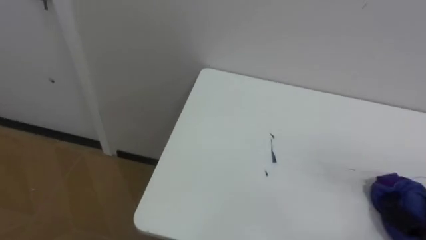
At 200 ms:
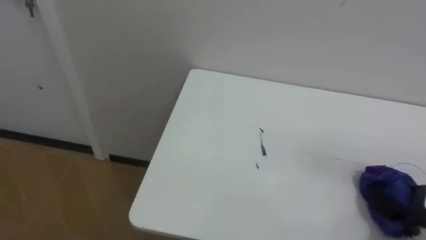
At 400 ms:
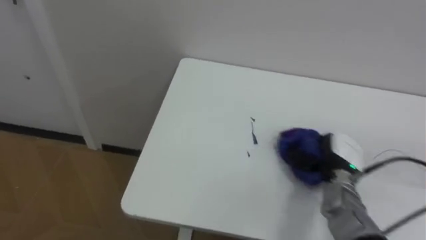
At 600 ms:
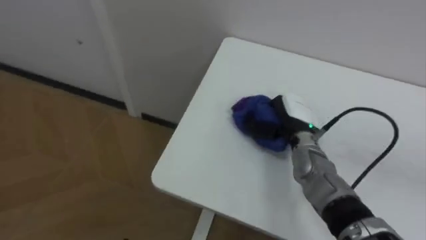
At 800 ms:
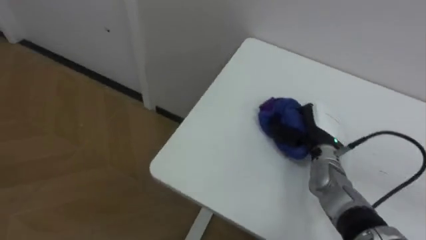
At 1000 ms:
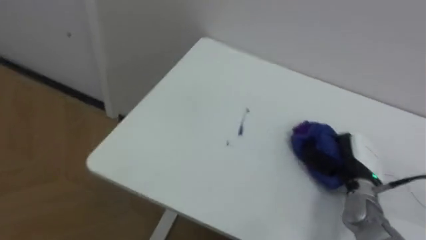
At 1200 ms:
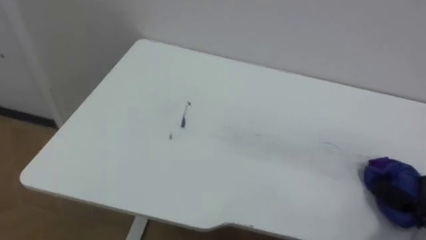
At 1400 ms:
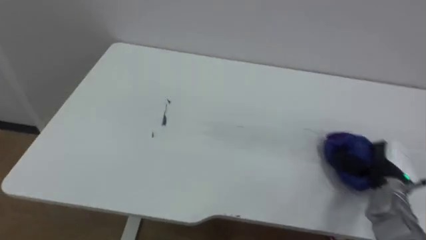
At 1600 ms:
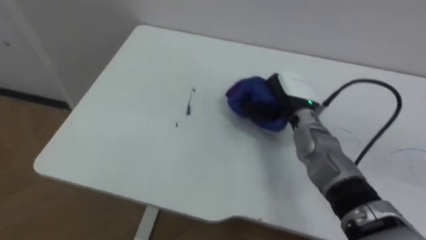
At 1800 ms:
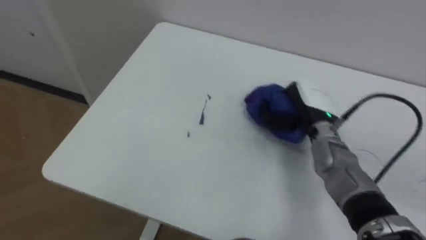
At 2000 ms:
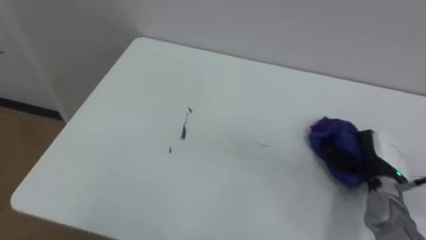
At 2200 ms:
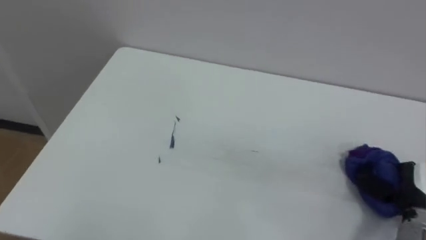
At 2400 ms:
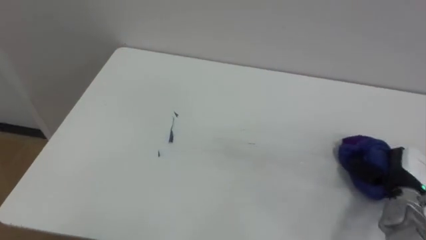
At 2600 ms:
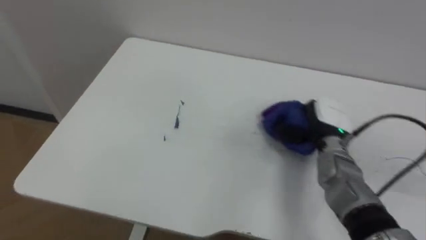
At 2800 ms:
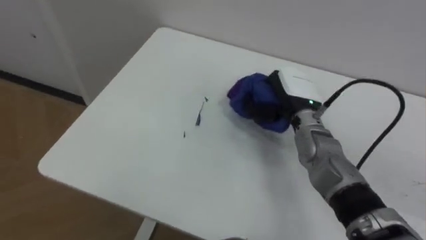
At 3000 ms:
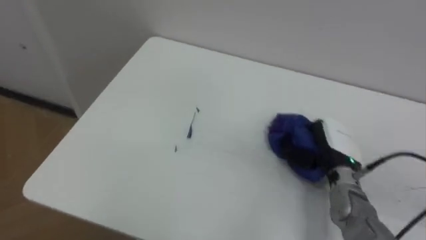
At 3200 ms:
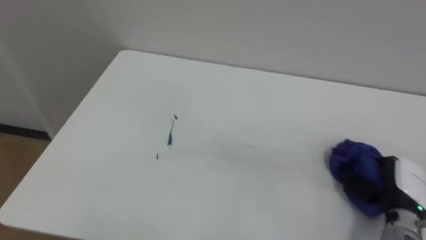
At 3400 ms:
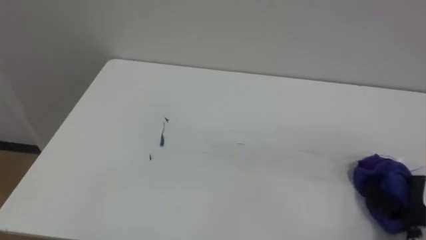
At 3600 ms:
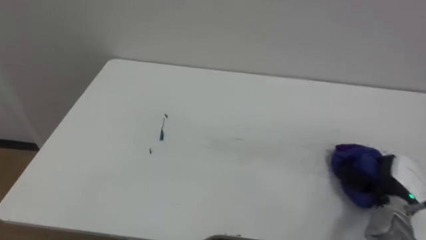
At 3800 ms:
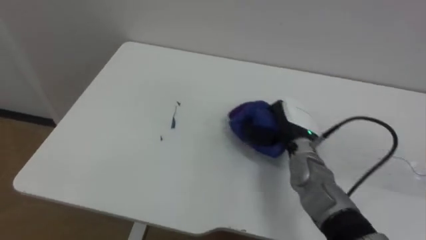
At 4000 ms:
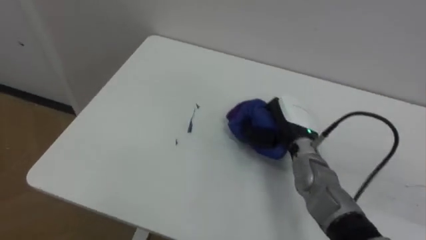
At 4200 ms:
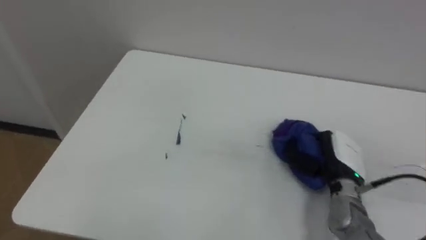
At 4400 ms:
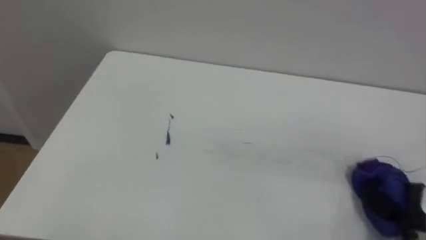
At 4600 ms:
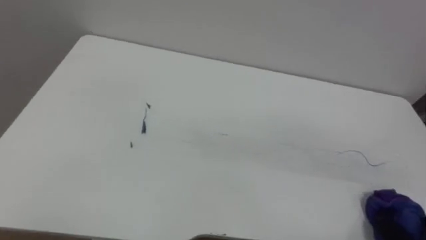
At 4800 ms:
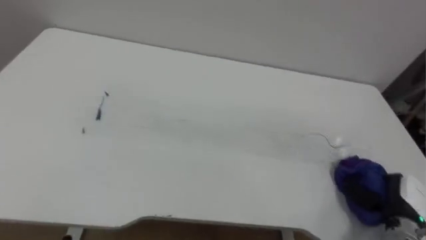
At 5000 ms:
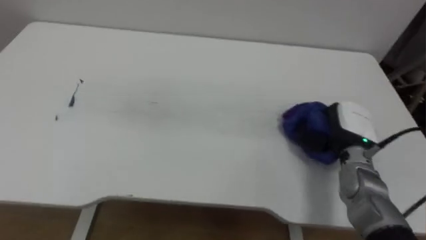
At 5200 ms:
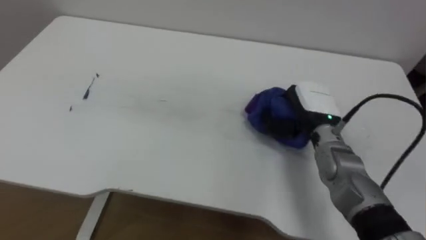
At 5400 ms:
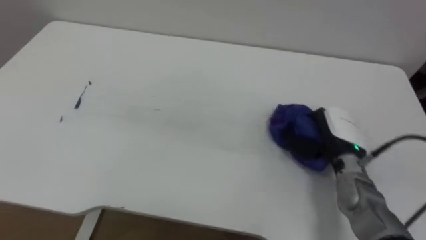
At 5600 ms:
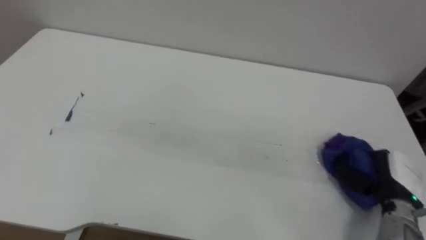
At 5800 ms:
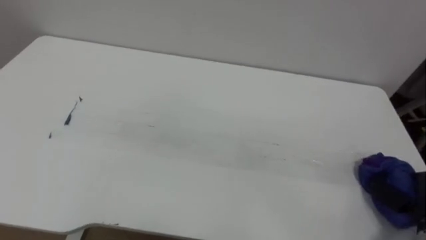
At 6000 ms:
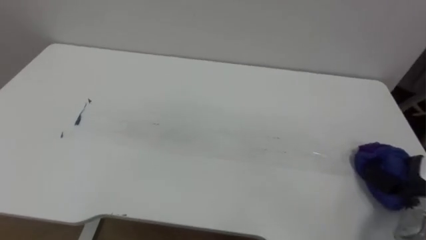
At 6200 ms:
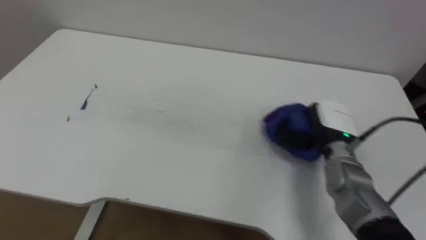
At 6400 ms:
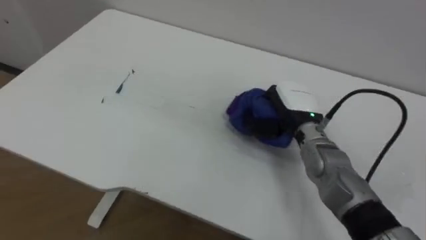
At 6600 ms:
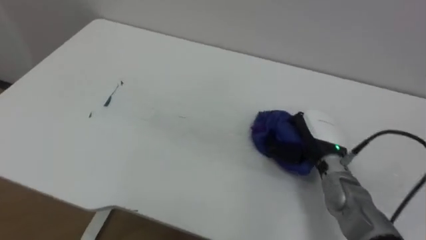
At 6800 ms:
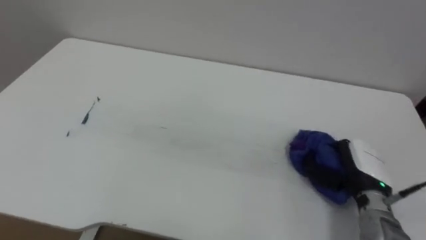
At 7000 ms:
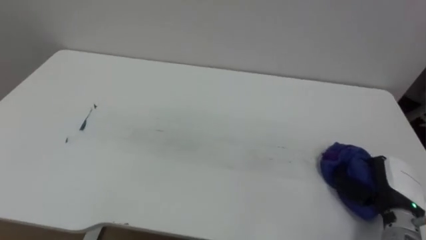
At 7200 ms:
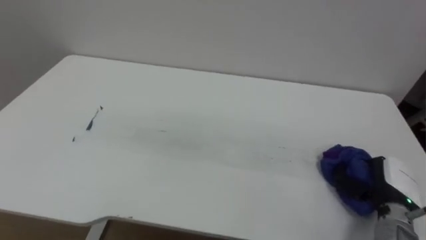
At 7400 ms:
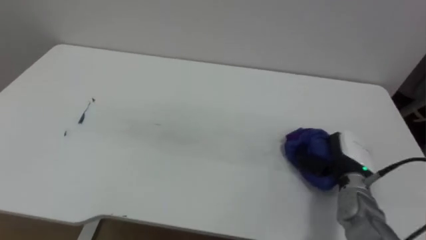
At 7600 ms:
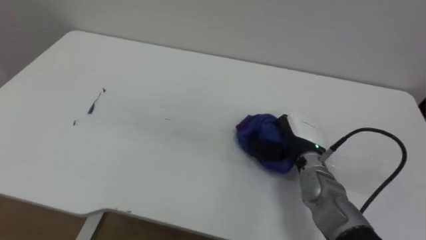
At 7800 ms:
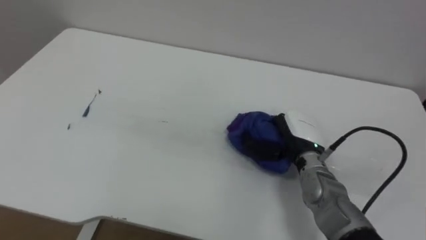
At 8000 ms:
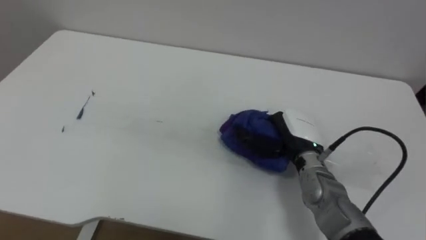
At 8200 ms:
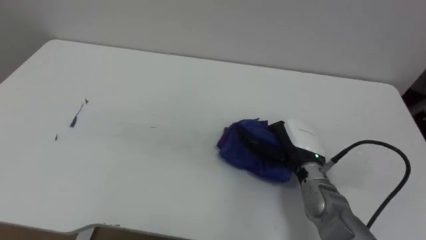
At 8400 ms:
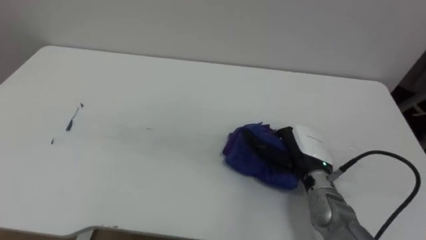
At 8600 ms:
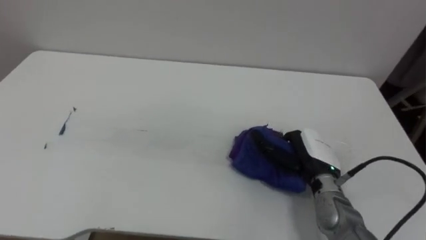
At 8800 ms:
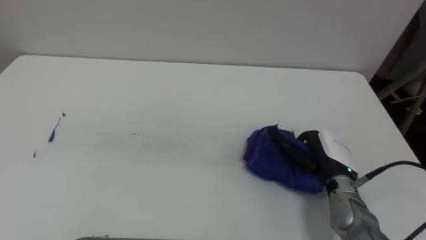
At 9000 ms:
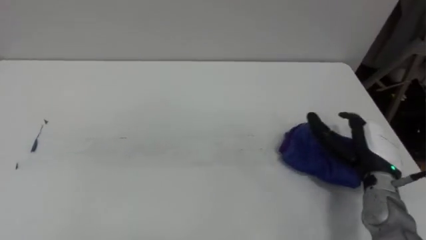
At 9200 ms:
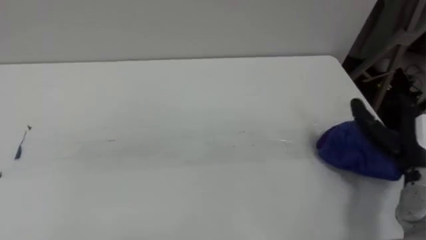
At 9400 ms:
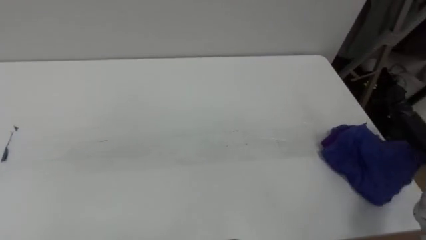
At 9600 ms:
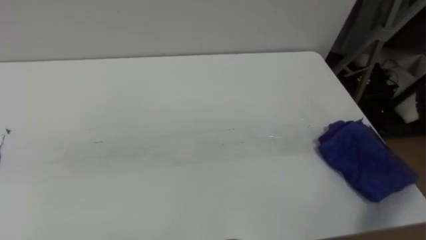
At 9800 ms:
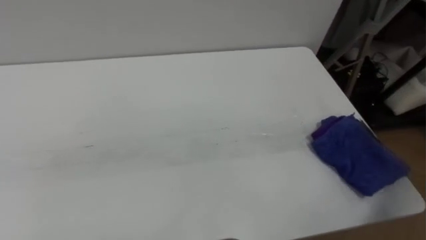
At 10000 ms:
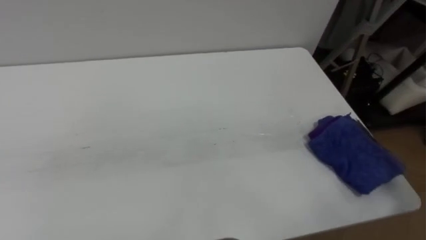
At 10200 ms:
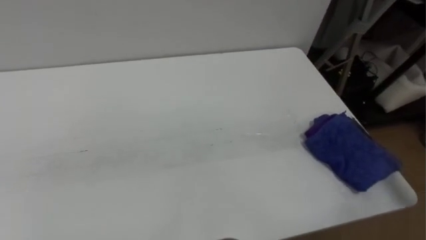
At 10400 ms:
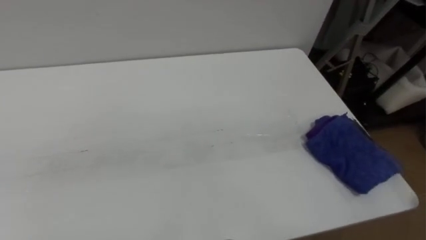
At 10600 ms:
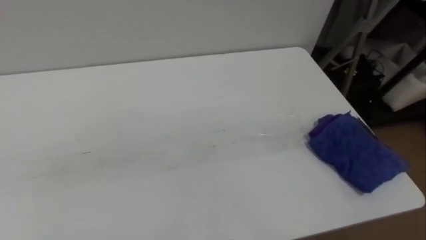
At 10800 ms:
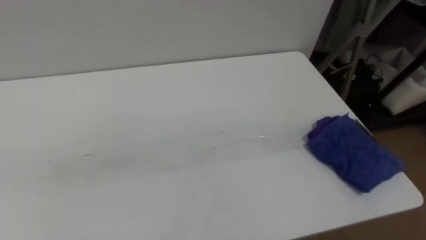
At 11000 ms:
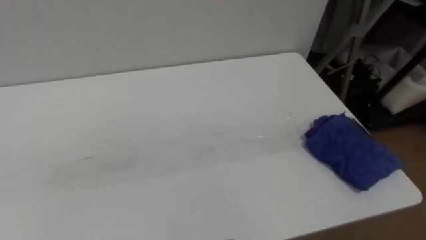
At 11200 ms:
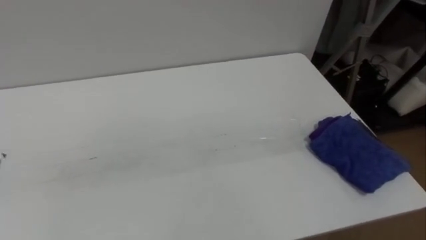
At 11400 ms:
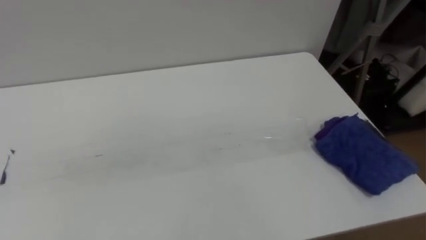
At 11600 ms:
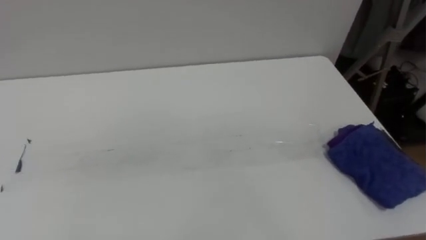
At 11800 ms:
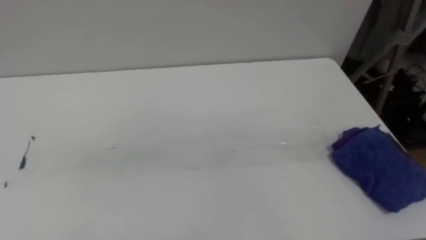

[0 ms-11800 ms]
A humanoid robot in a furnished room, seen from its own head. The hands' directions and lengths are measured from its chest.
Task of the whole recording: Wipe the blue pen marks off the table with the rag.
1400 ms to 3000 ms: The right hand moves left and right over approximately 25 cm, changing direction 3 times.
3000 ms to 4400 ms: The right hand moves left and right over approximately 25 cm, changing direction 2 times.
6000 ms to 7400 ms: The right hand goes left and right, about 25 cm each way, reversing 2 times.
7400 ms to 8800 ms: The right hand goes approximately 5 cm to the left, and opens up.

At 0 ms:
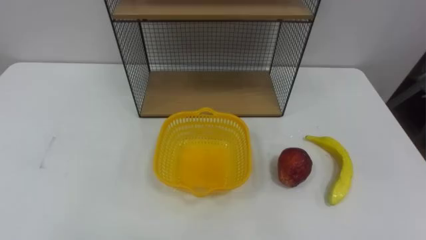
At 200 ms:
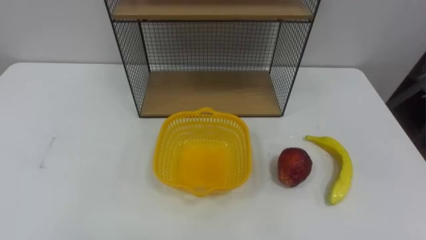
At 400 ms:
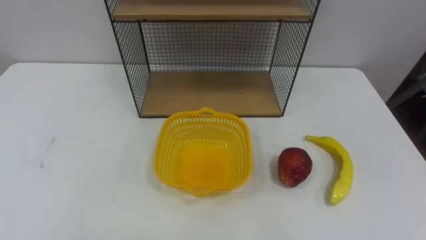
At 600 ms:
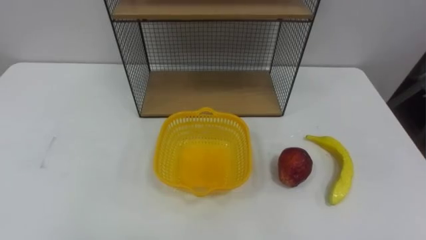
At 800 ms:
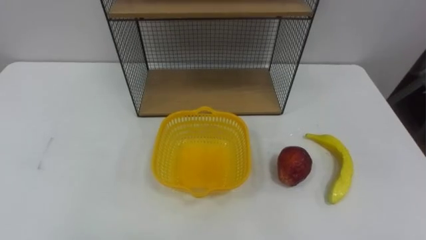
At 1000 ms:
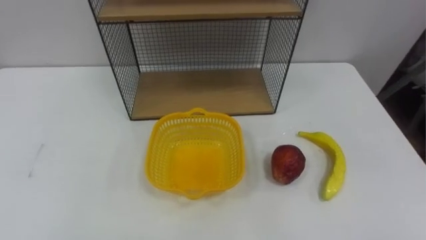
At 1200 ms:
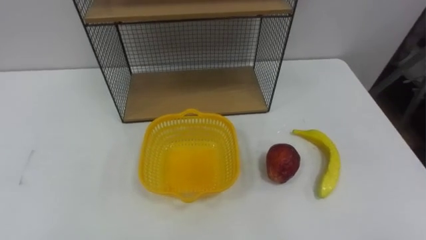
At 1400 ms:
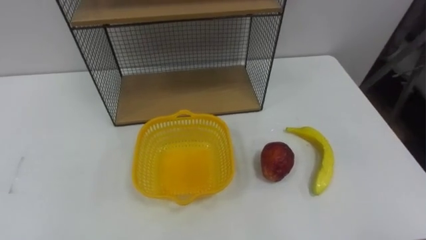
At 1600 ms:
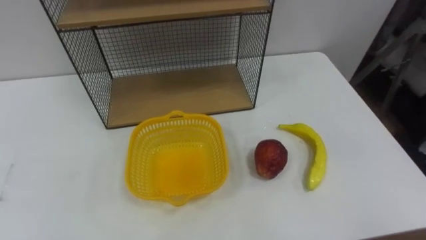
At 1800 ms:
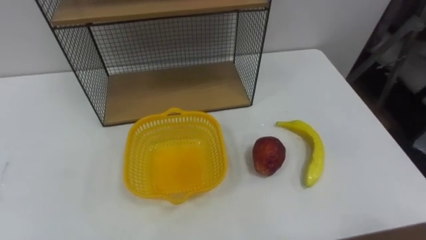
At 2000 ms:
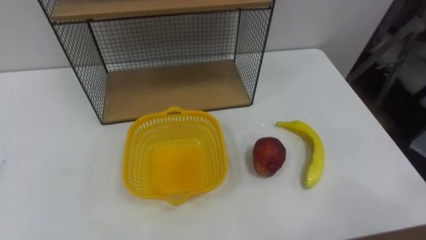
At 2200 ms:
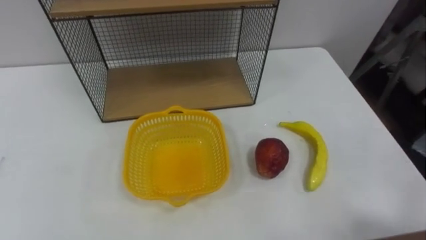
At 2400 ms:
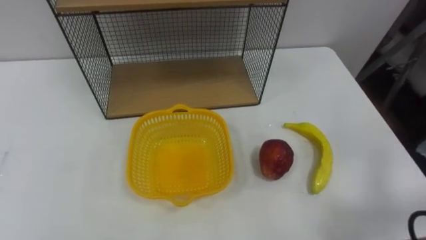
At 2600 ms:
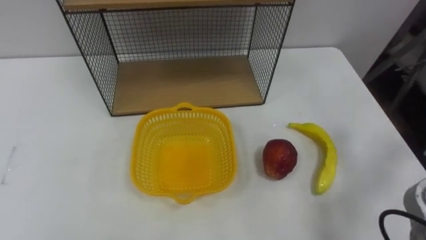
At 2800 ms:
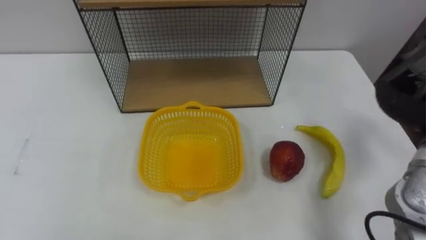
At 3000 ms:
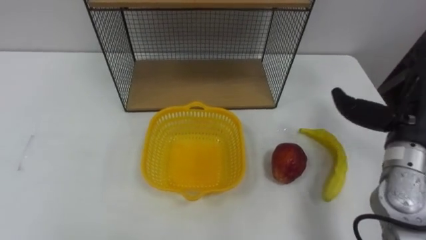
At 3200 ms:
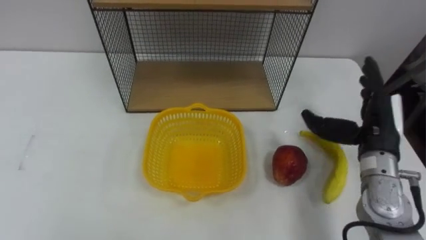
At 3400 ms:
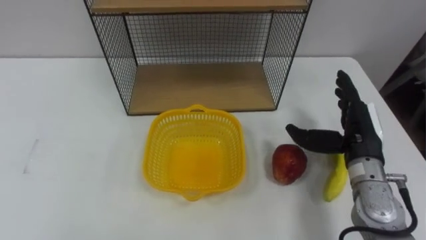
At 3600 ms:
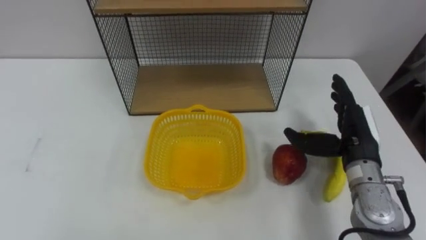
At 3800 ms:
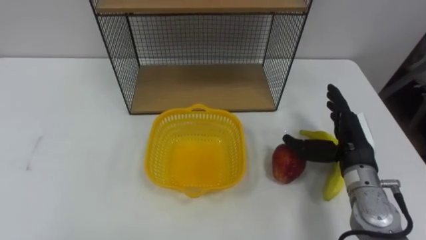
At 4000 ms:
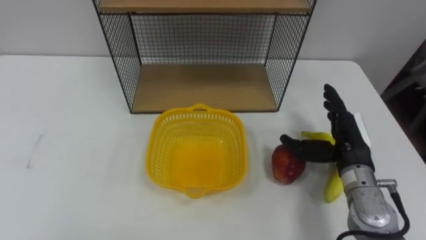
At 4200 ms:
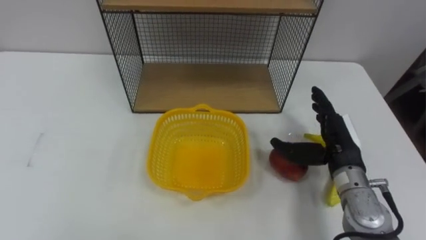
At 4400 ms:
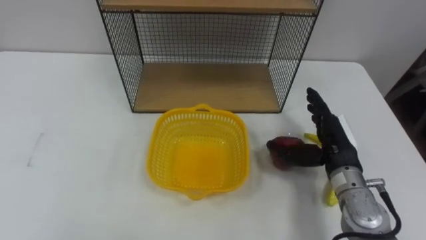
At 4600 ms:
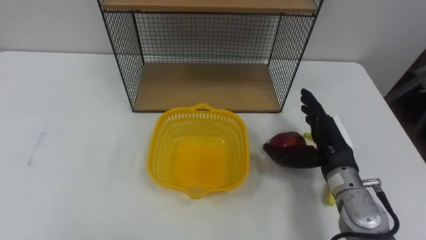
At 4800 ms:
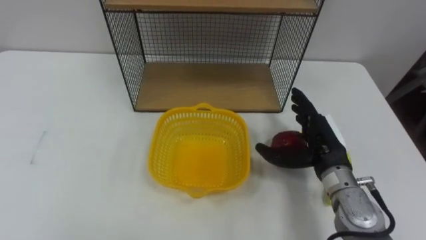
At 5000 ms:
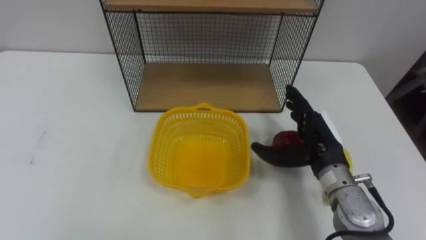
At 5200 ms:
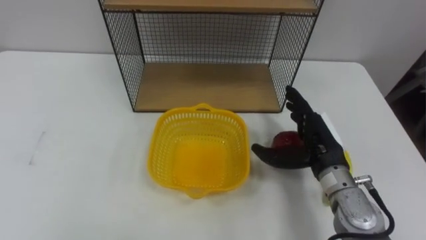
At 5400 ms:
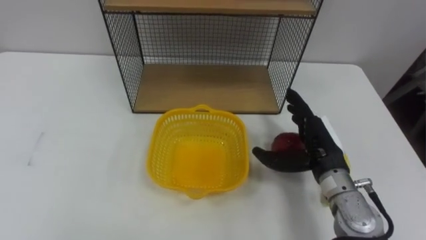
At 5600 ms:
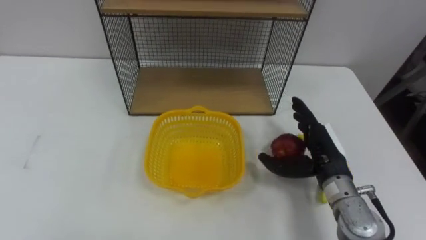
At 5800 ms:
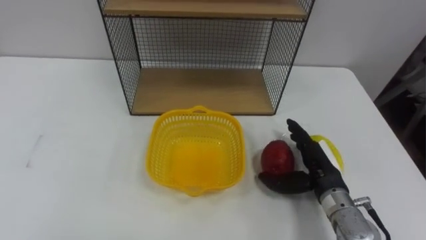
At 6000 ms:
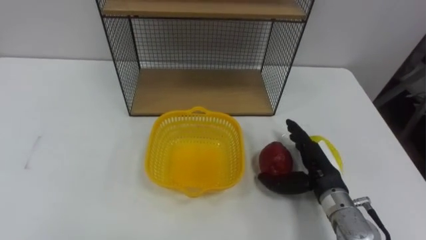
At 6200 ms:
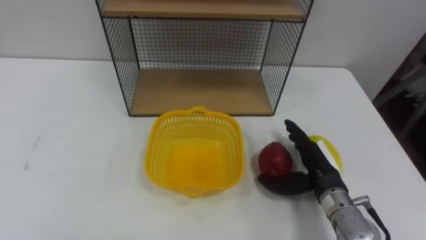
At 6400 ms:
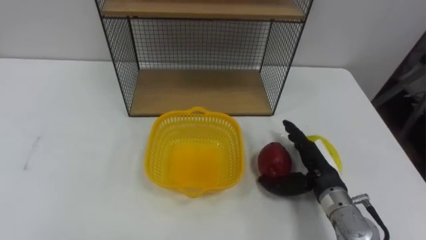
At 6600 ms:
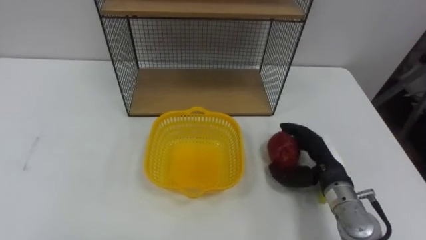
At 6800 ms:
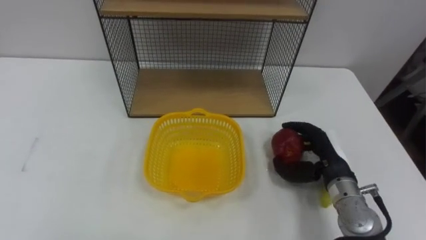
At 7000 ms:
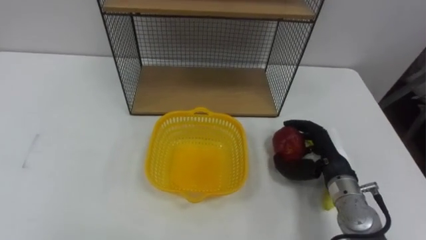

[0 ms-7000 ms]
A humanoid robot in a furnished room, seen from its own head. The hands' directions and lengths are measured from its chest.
Task of the whole recording: Put the fruit on the table into the basket, then place the basket on the shelf.
5600 ms to 7000 ms: The right hand closes.
